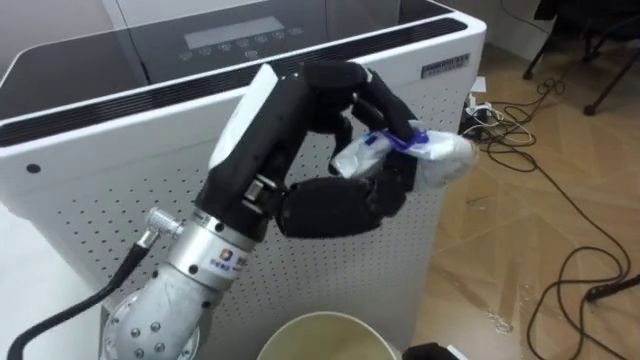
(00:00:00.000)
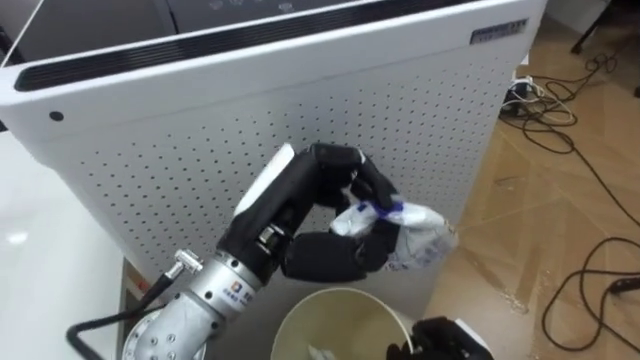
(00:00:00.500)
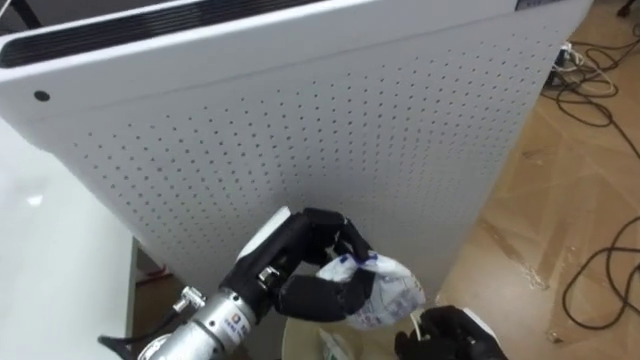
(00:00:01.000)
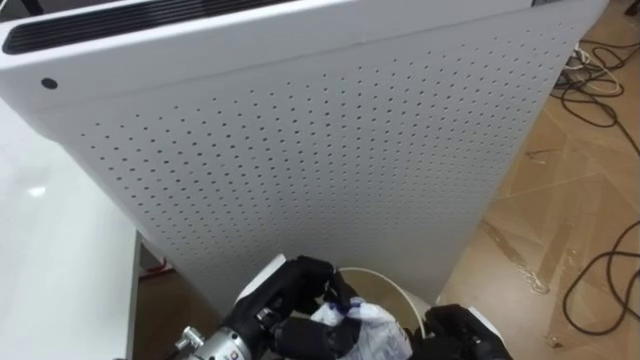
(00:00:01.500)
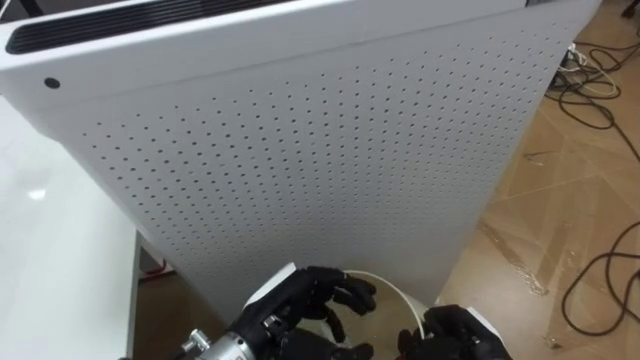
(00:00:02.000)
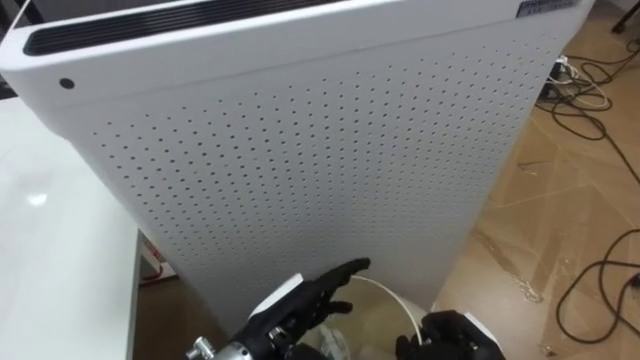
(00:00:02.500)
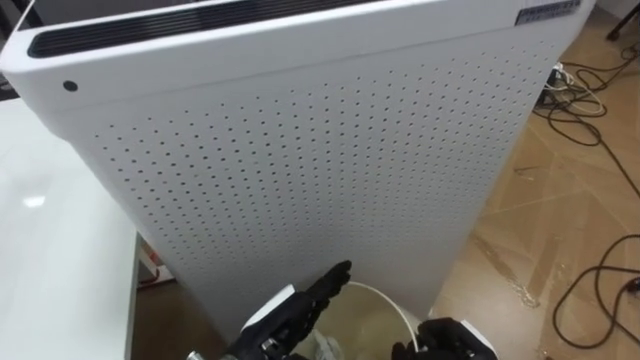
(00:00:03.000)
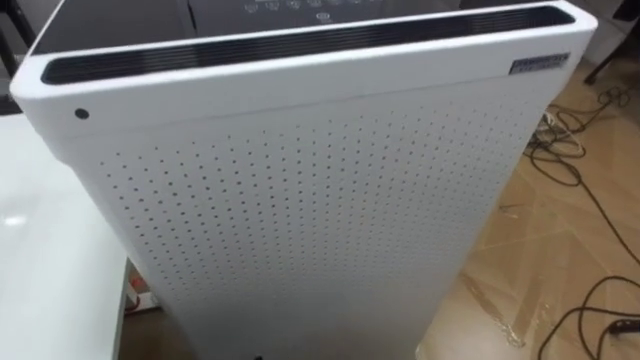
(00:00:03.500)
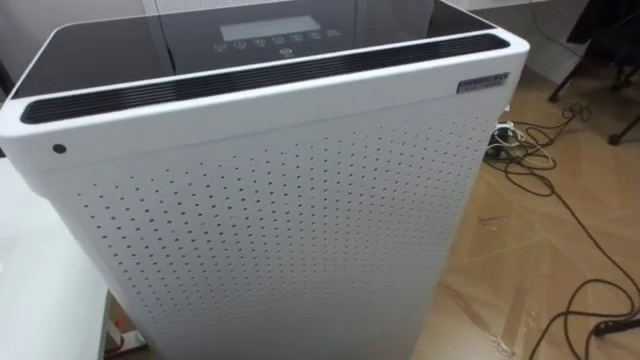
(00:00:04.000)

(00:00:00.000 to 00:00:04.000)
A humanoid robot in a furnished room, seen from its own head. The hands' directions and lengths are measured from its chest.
Task of the whole recording: Pick up the light blue package, the candy box, and the dark blue package separately, and put them into the trash can held in your right hand.
00:00:00.000 - 00:00:02.000: The left hand is displaced downward by about 25 cm.

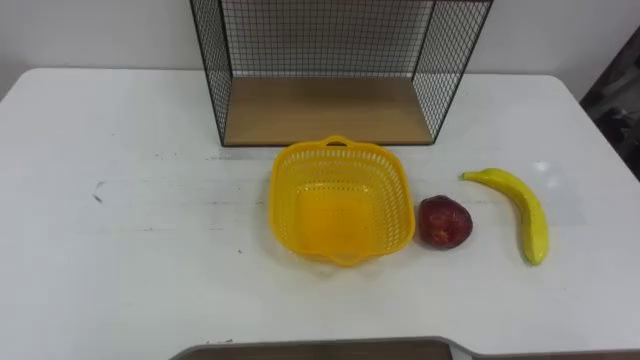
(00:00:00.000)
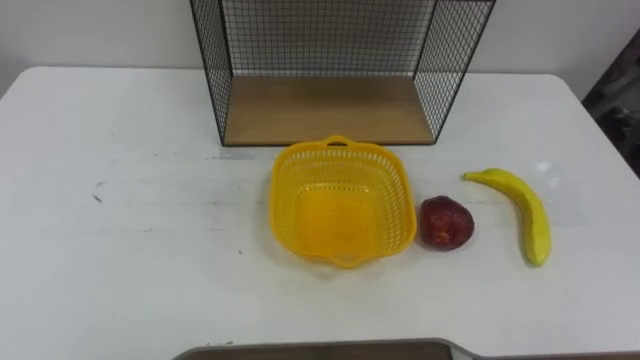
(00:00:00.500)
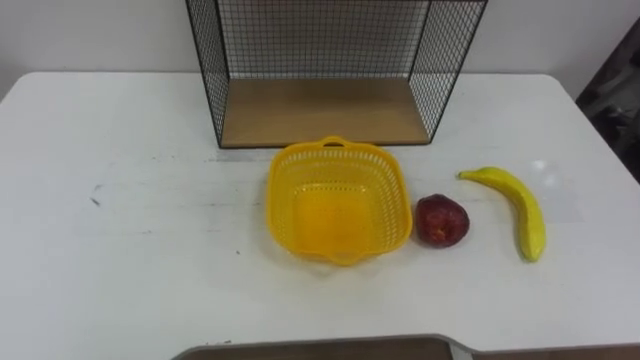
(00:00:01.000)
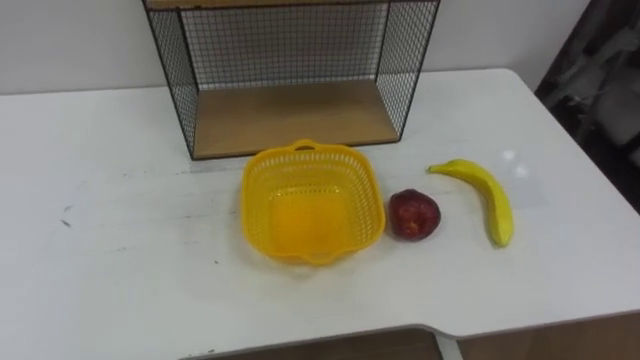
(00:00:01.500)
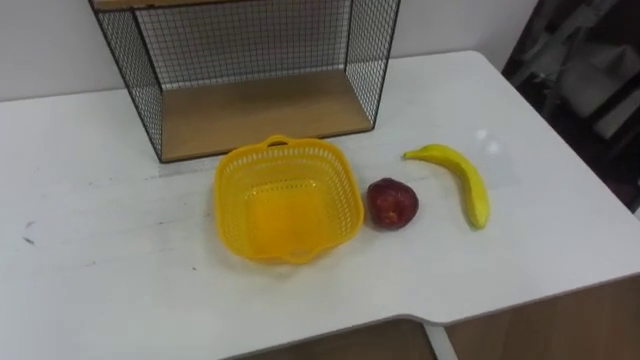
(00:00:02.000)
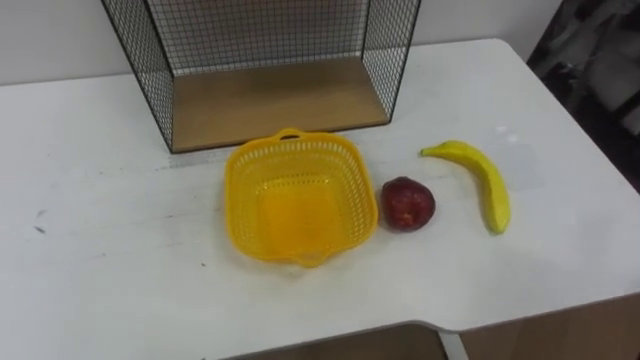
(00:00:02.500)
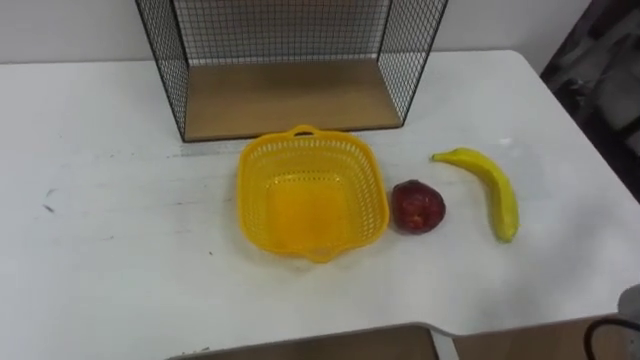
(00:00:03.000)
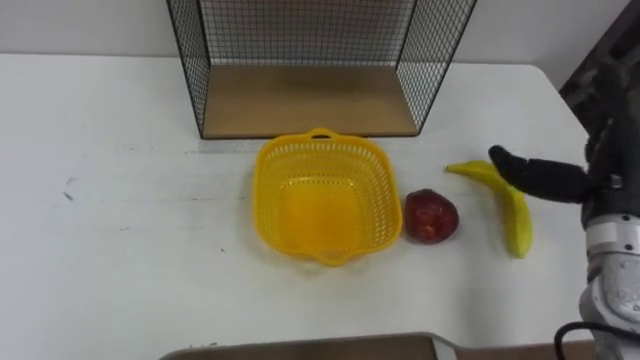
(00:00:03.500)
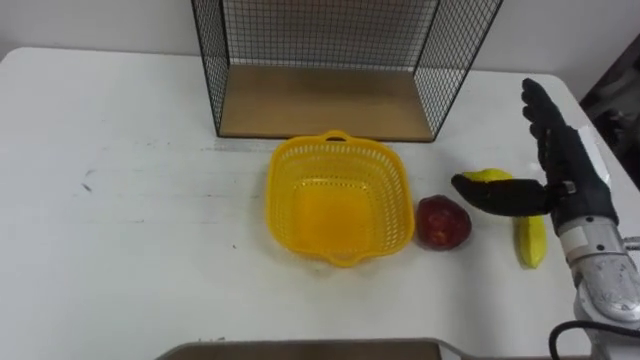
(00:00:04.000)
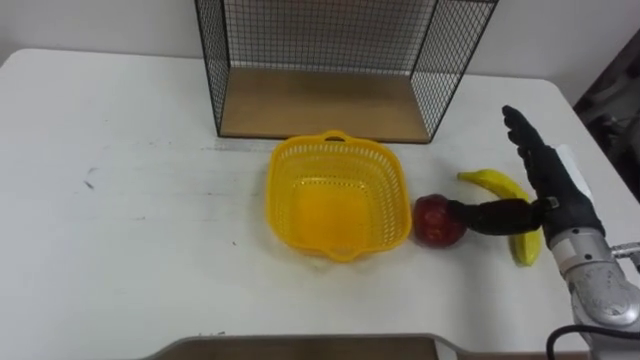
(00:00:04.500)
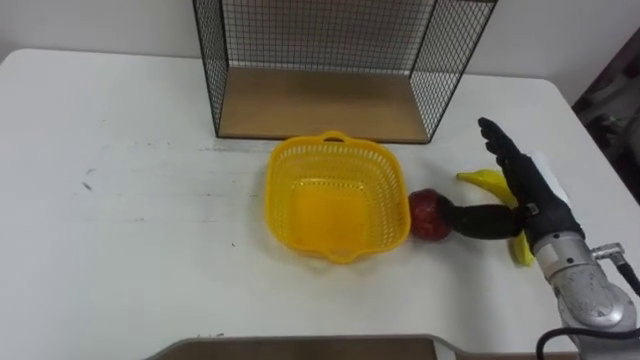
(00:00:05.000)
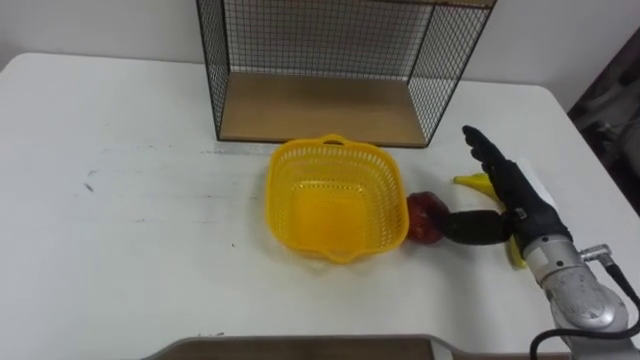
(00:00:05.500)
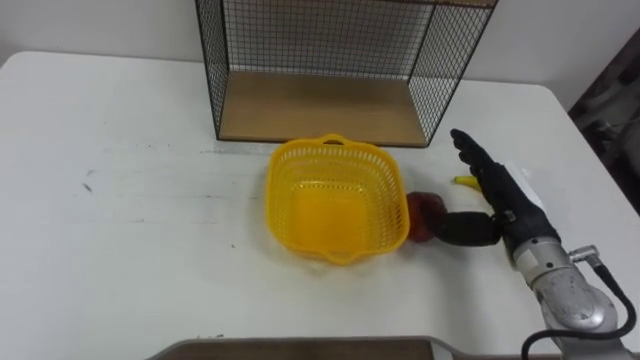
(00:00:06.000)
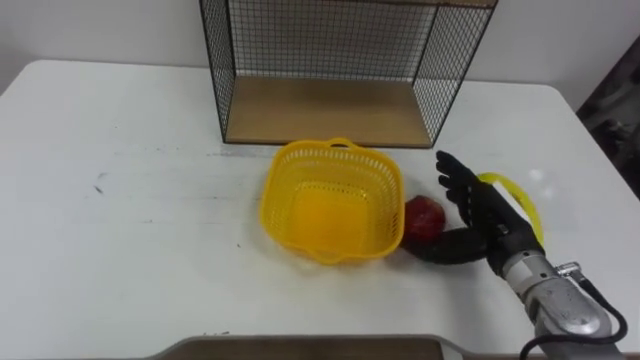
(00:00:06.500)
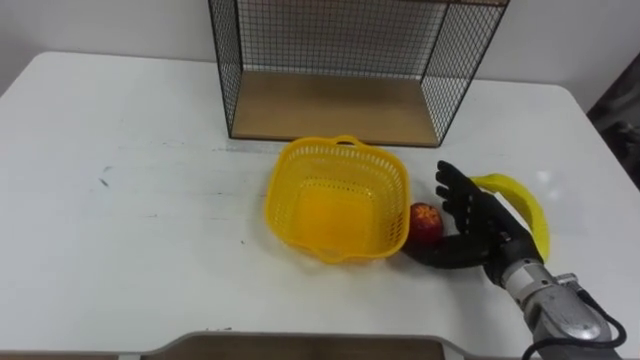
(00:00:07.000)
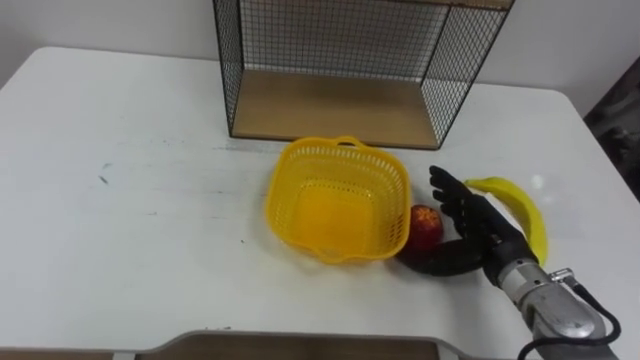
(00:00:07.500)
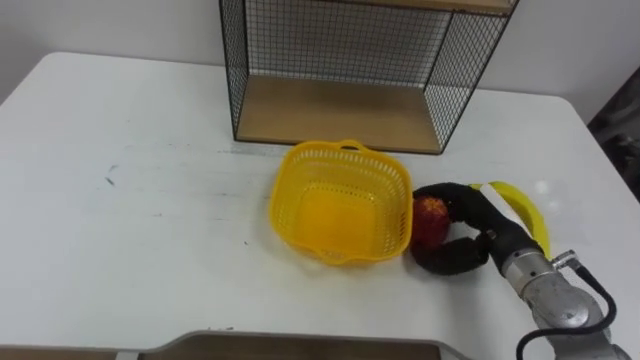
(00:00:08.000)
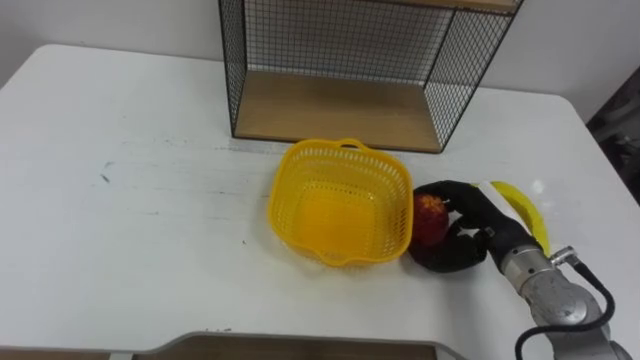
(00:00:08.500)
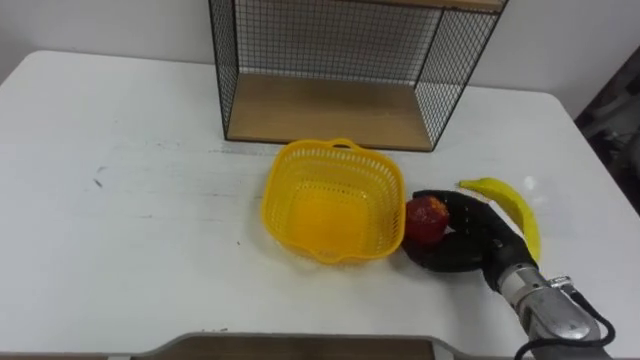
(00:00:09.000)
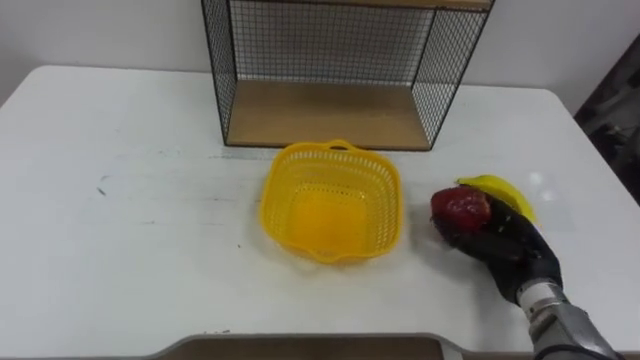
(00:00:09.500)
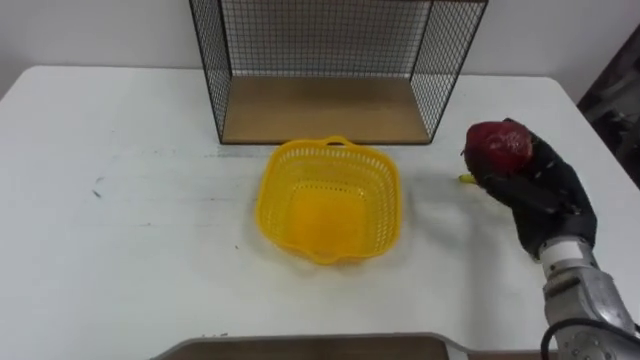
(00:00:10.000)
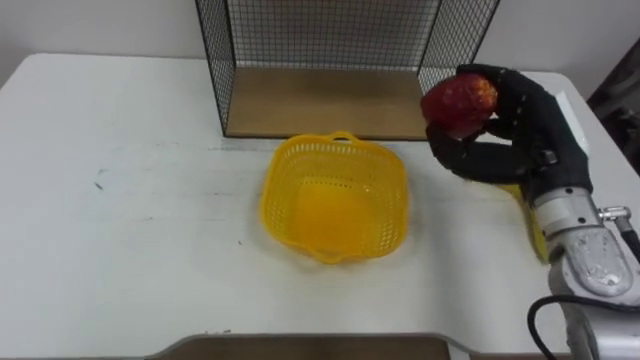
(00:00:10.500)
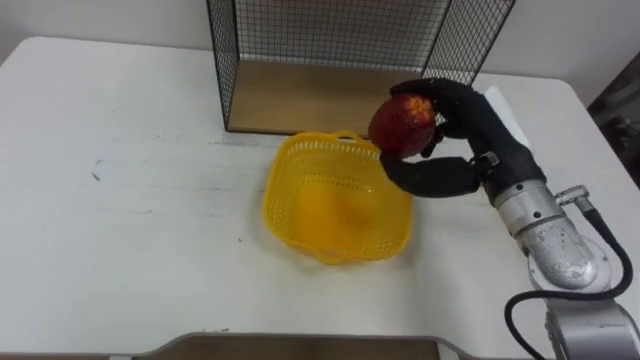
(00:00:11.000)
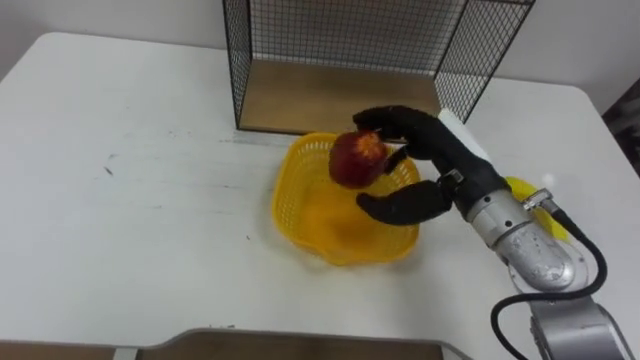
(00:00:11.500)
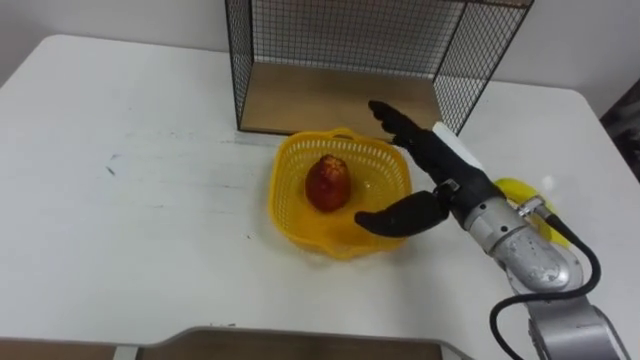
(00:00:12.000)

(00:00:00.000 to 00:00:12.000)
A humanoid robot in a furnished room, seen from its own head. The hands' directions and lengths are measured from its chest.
Task of the whole recording: Put the fruit on the table into the basket, then place the basket on the shelf.
00:00:04.000 - 00:00:06.000: The right hand travels downward by about 5 cm.
00:00:06.000 - 00:00:08.000: The right hand closes up.
00:00:08.000 - 00:00:10.000: The right hand moves to the right, approximately 5 cm.
00:00:10.000 - 00:00:12.000: The right hand goes some 15 cm to the left and upward, and opens up.

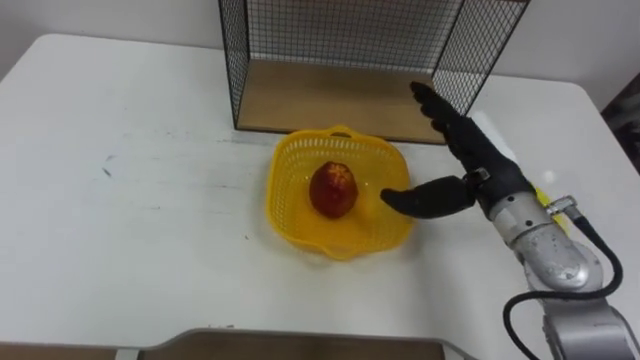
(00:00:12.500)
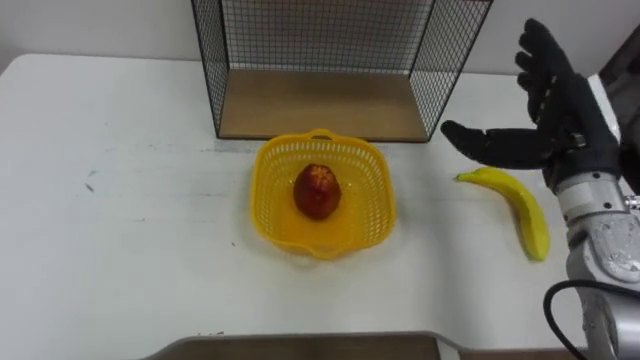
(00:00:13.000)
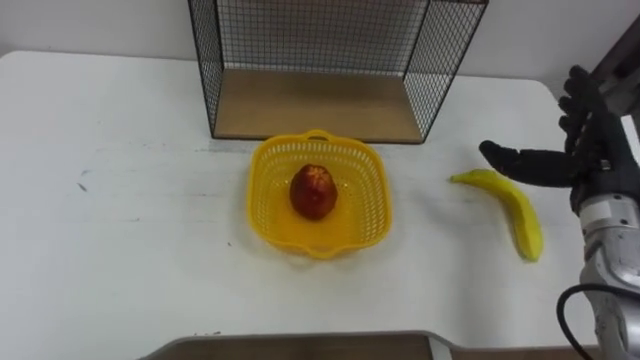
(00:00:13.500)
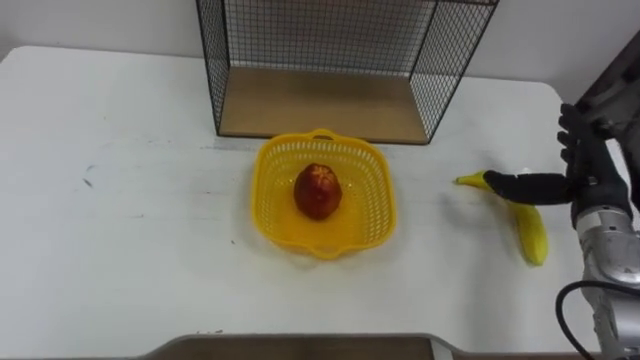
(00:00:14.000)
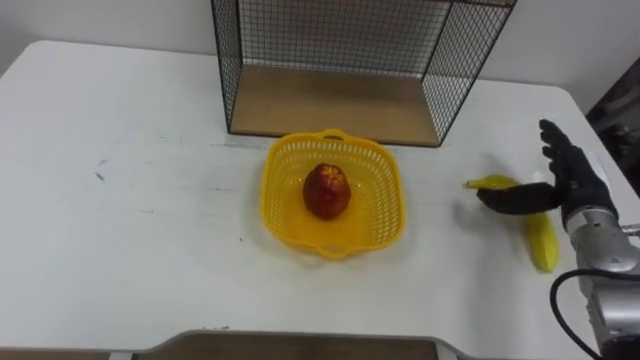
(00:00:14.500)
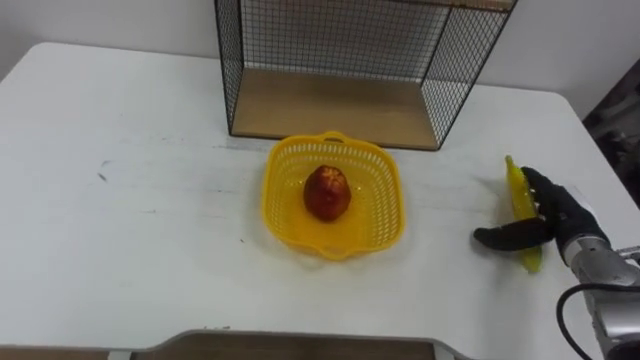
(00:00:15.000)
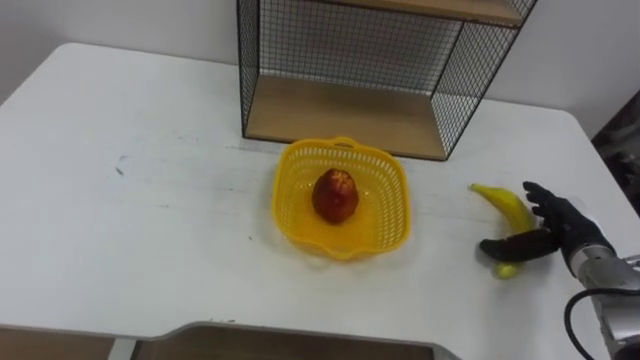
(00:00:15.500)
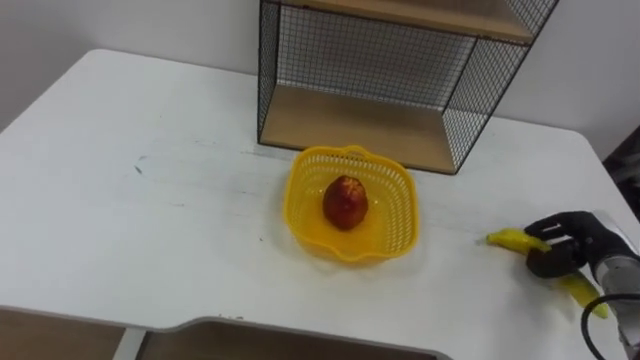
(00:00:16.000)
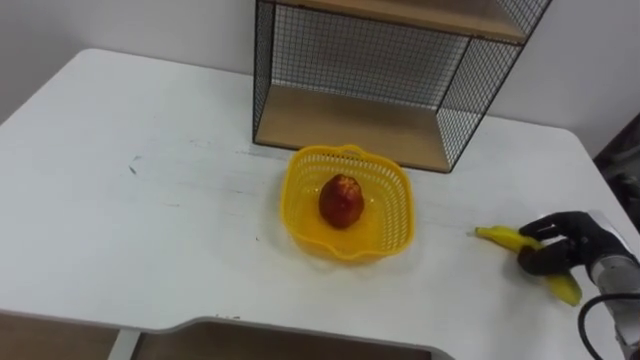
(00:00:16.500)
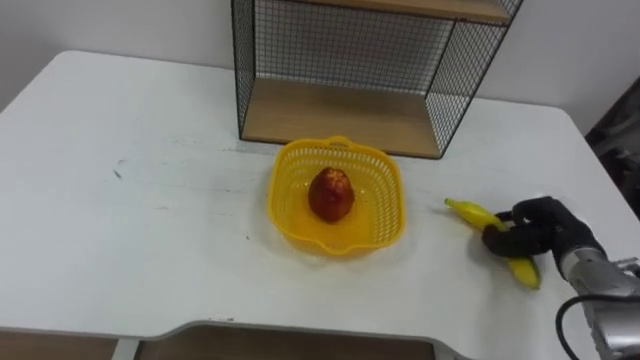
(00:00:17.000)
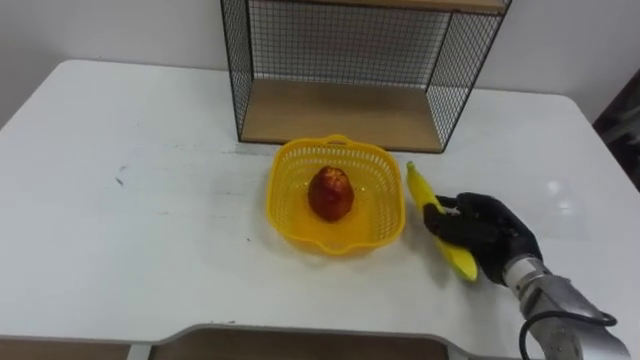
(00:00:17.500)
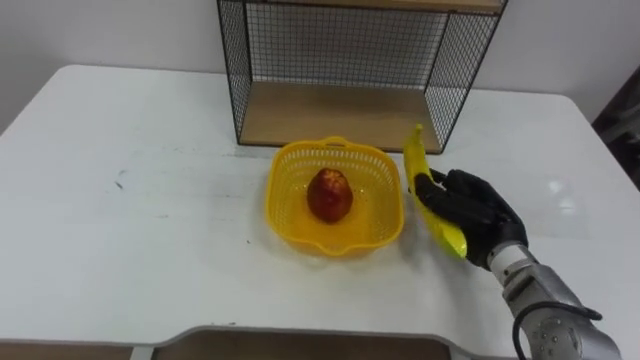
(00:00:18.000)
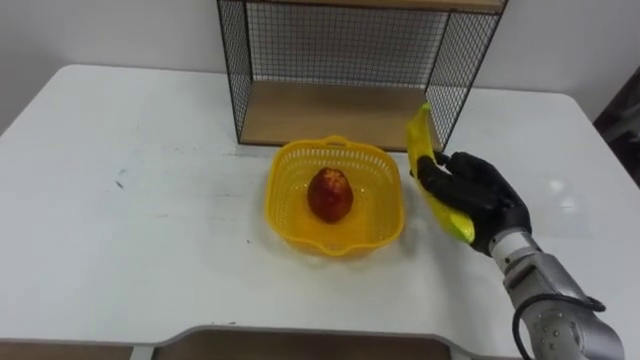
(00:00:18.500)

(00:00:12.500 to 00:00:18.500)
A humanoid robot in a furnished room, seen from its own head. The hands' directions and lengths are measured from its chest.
Task of the whole recording: Put the fruit on the table into the basket, then place the basket on the shelf.
00:00:12.500 - 00:00:14.500: The right hand moves to the right and downward, roughly 15 cm.
00:00:14.500 - 00:00:16.500: The right hand travels downward by about 10 cm, and closes.
00:00:16.500 - 00:00:18.500: The right hand moves to the left and upward, some 15 cm.
